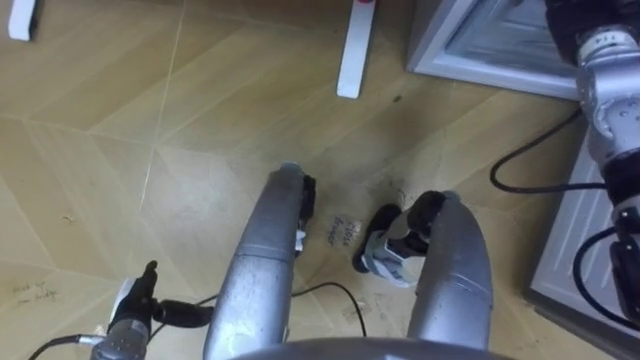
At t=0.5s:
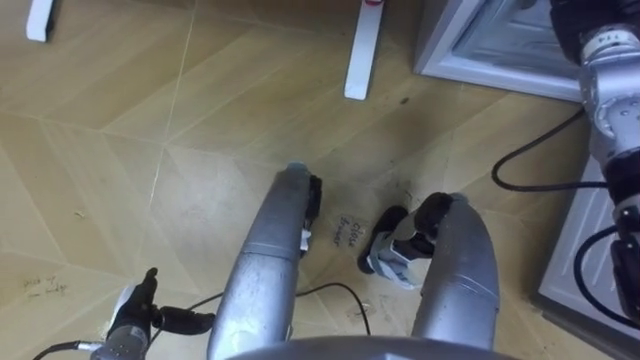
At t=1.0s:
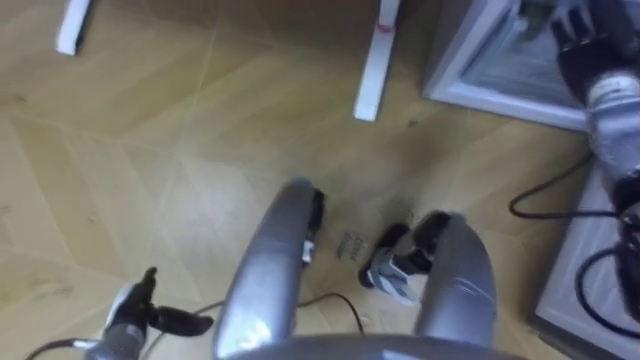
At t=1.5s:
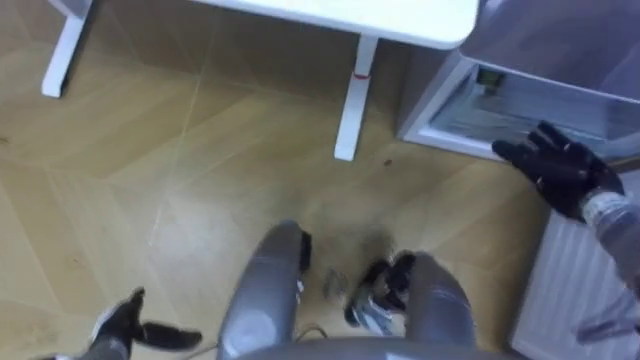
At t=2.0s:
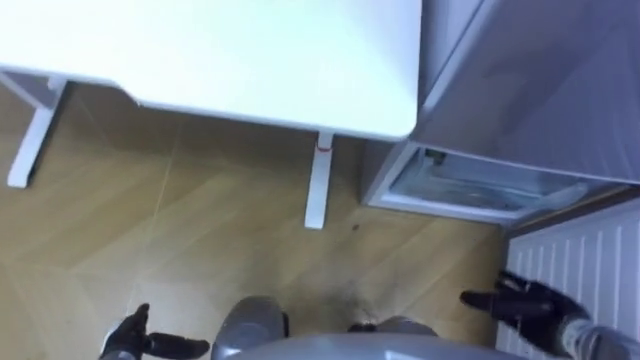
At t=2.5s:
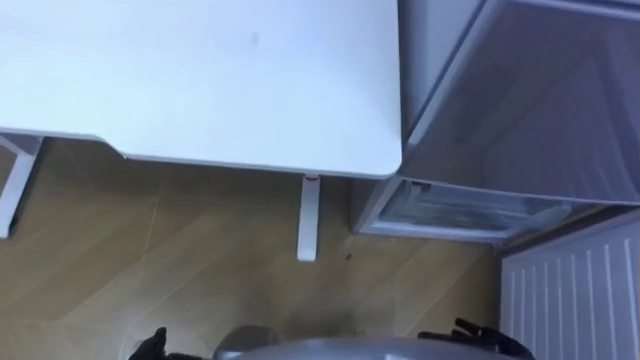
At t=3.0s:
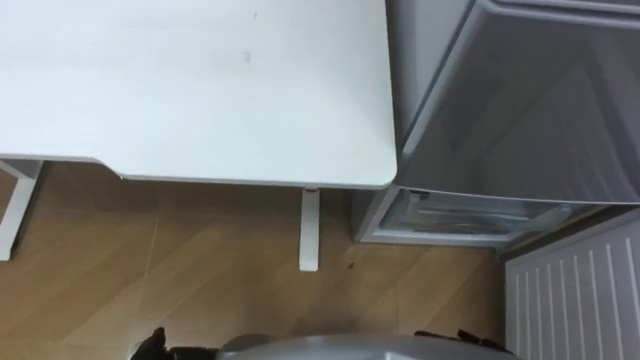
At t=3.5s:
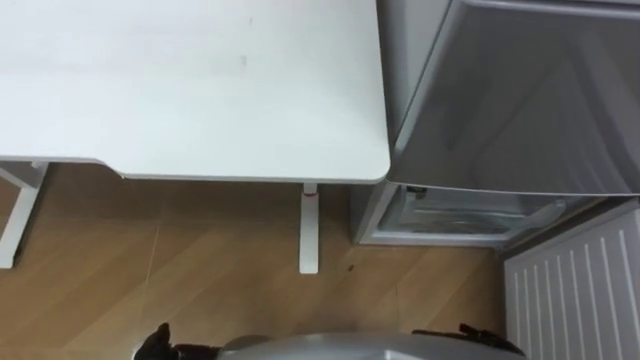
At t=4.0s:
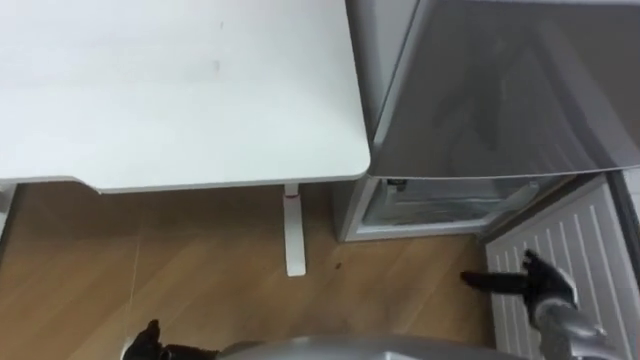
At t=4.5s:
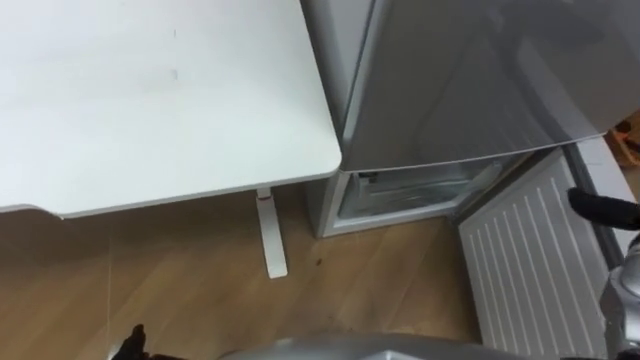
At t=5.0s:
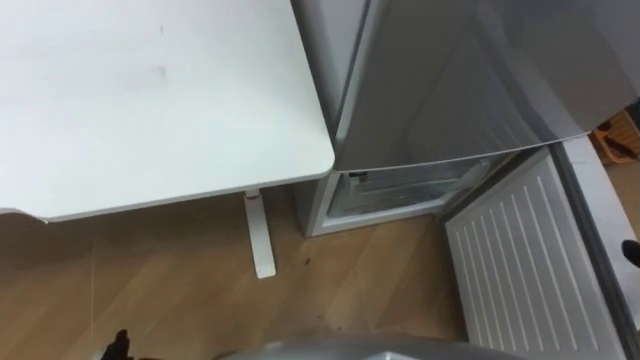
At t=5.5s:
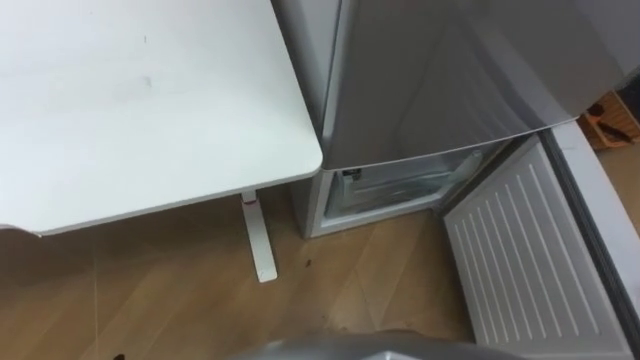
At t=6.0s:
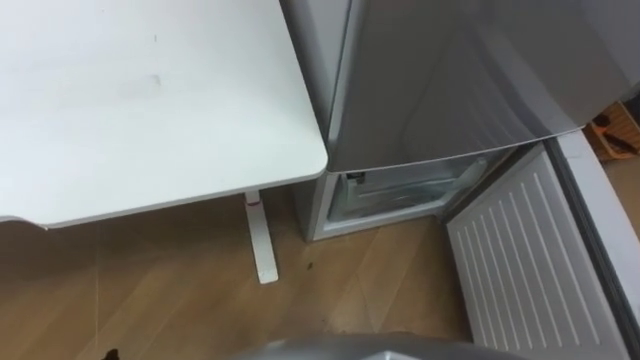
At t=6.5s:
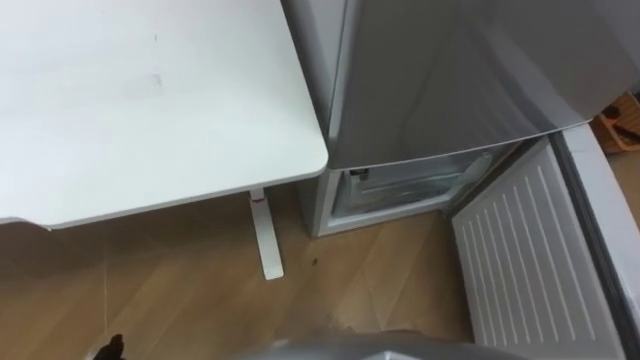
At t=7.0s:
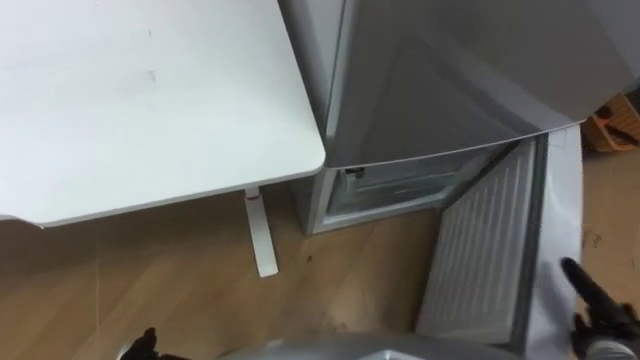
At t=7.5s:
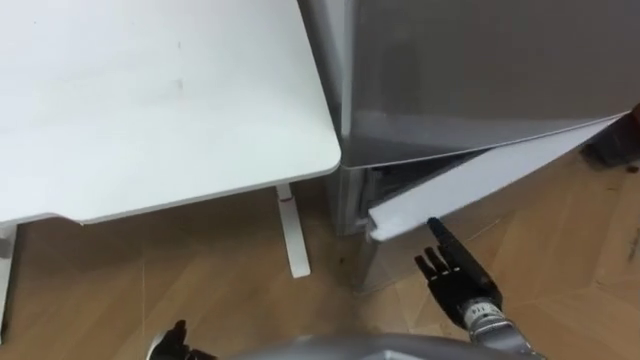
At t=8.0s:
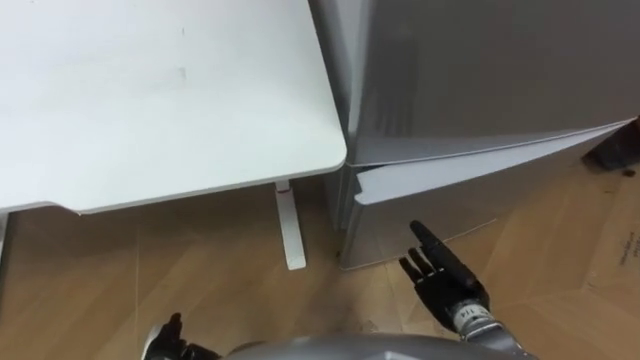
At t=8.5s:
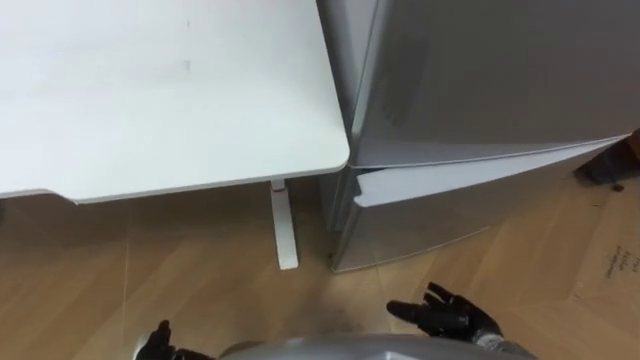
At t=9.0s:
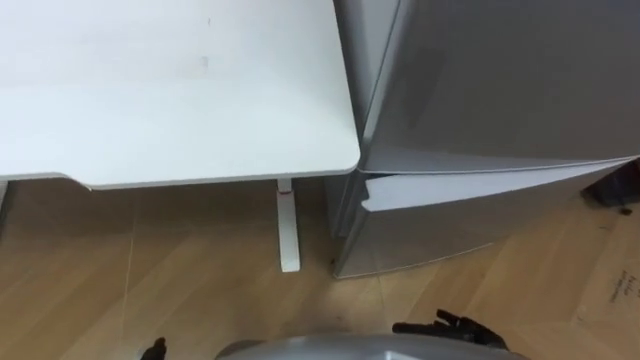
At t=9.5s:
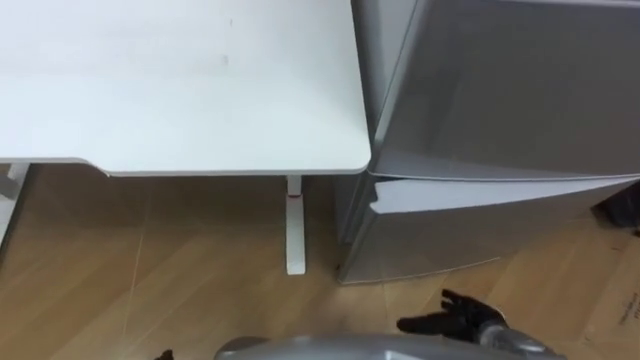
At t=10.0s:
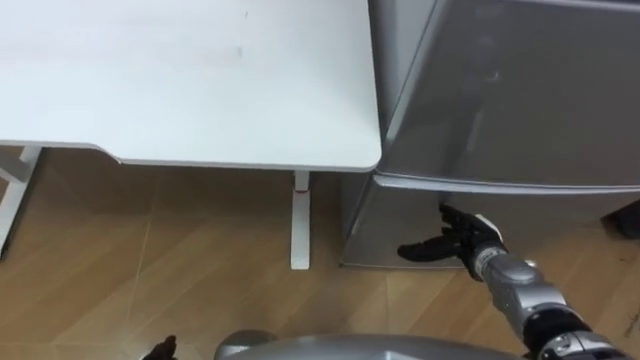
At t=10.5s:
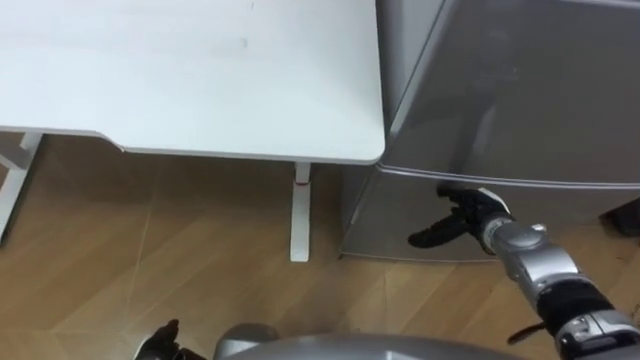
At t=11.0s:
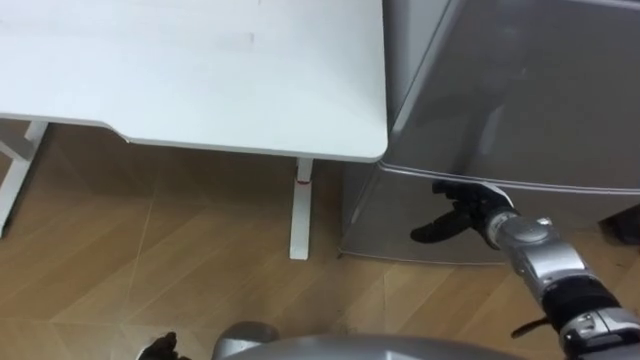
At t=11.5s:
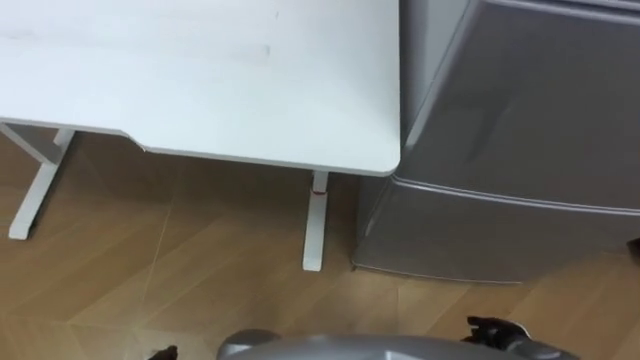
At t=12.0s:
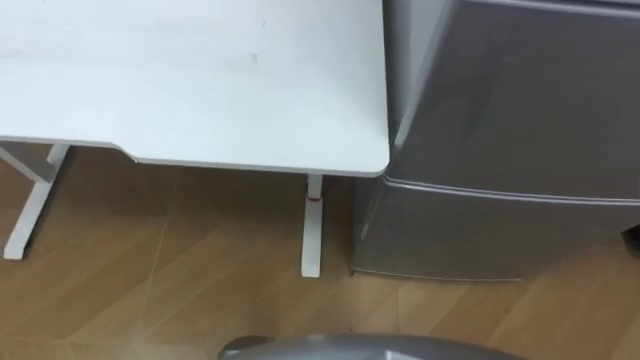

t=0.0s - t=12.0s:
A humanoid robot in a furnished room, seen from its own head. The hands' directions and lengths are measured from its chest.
Task of the whole recording: Place the drink on the table on the bottom shelf of the refrigerator, then close the drawer and the refrigerator door.
t=0.0s - t=2.0s: The right hand goes some 40 cm backward and downward.
t=8.0s - t=10.0s: The right hand moves forward, approximately 5 cm.

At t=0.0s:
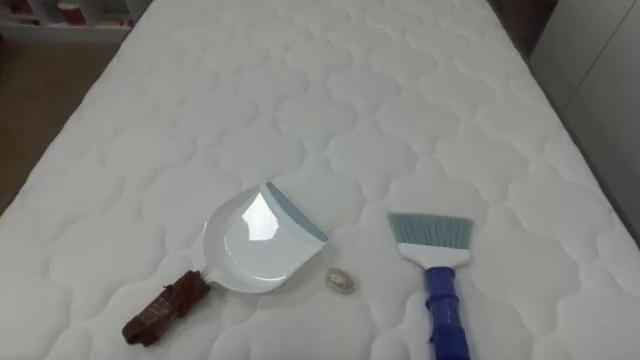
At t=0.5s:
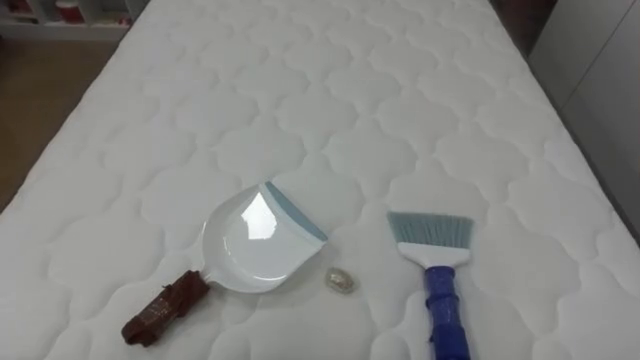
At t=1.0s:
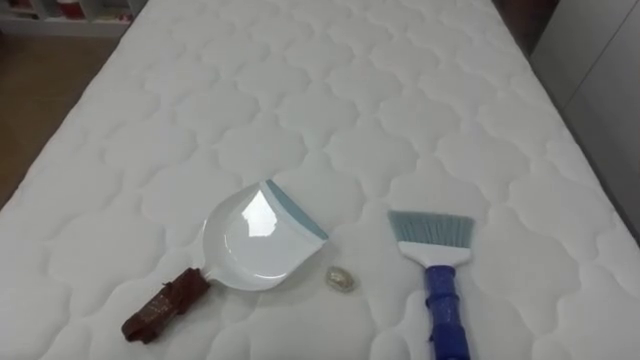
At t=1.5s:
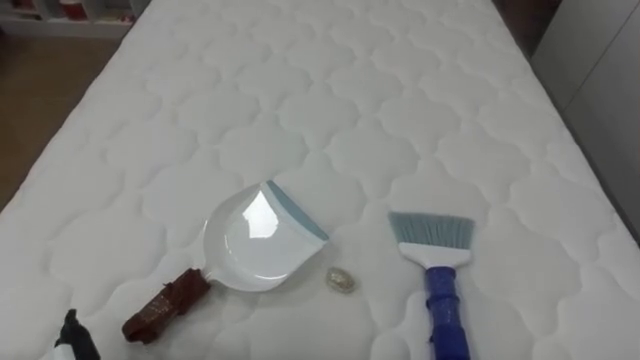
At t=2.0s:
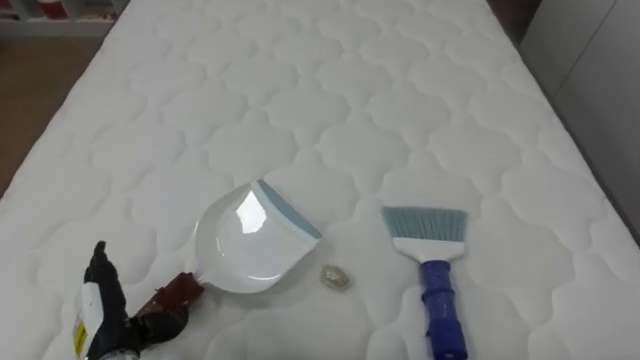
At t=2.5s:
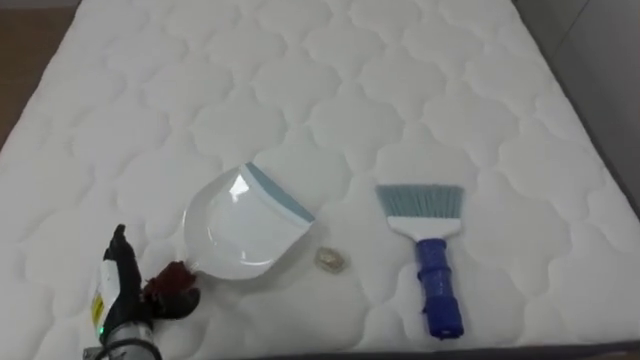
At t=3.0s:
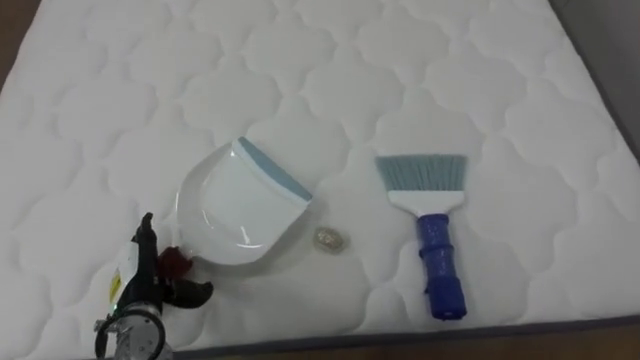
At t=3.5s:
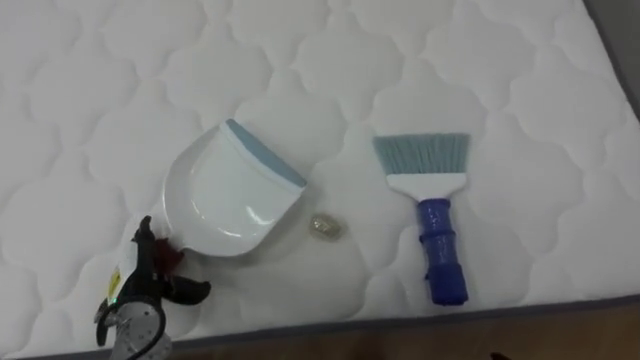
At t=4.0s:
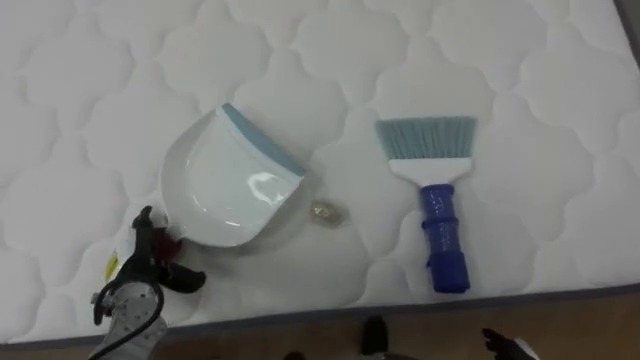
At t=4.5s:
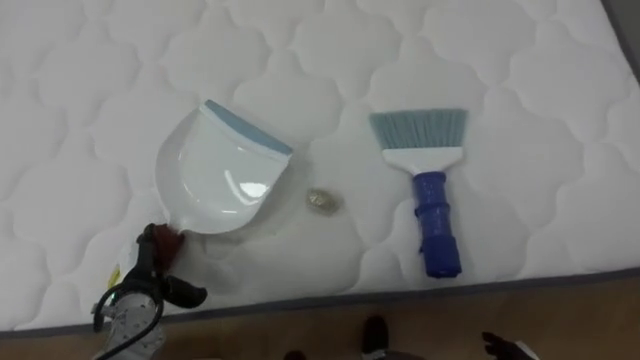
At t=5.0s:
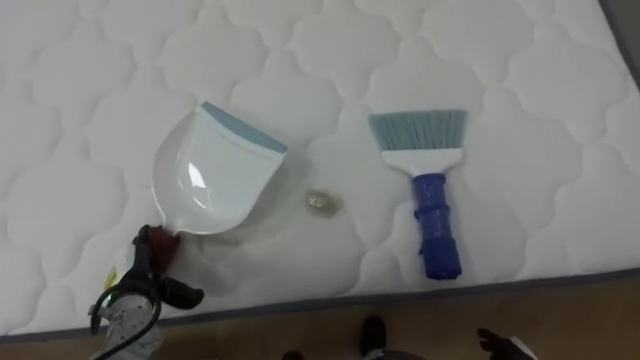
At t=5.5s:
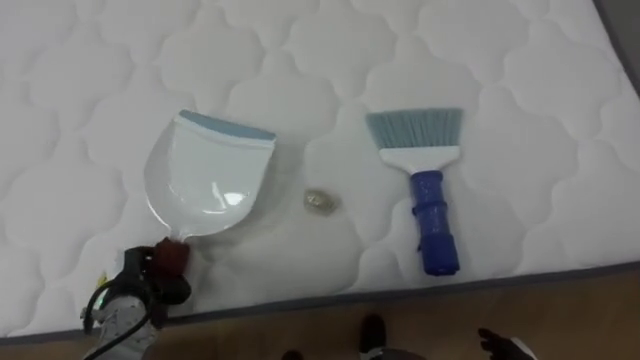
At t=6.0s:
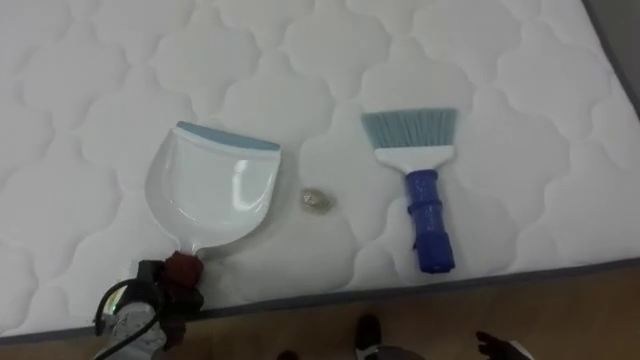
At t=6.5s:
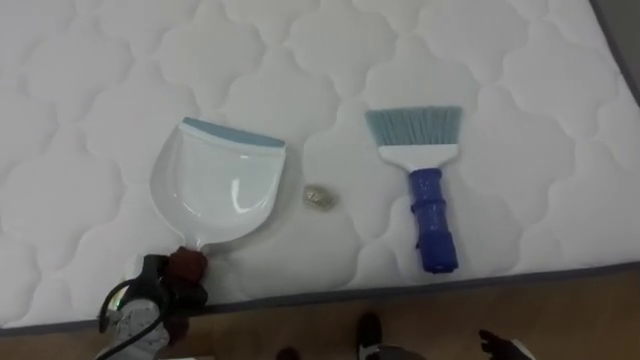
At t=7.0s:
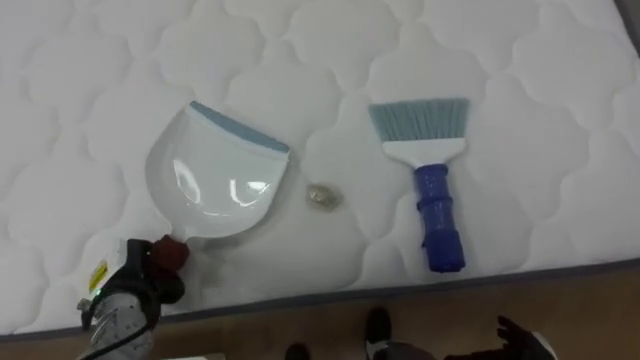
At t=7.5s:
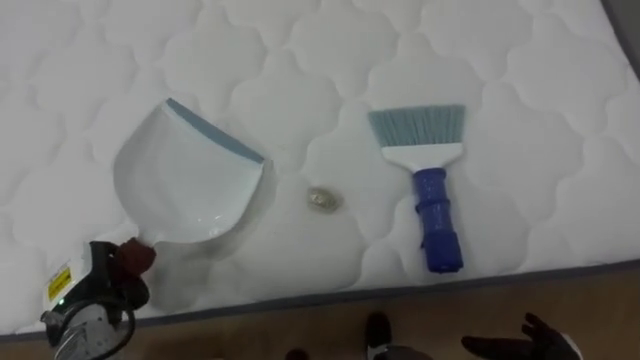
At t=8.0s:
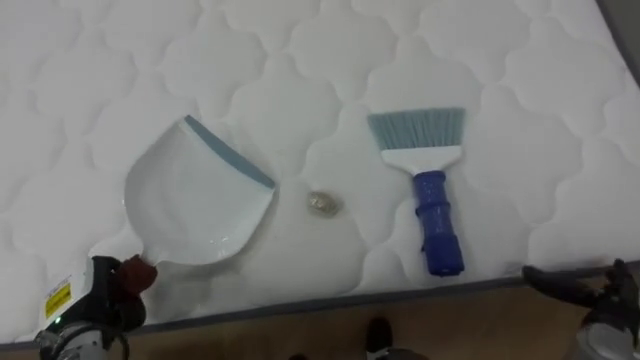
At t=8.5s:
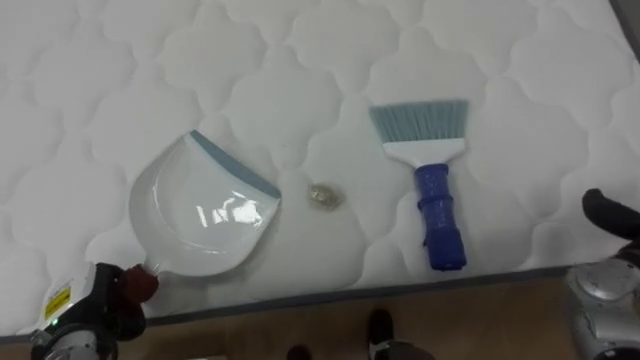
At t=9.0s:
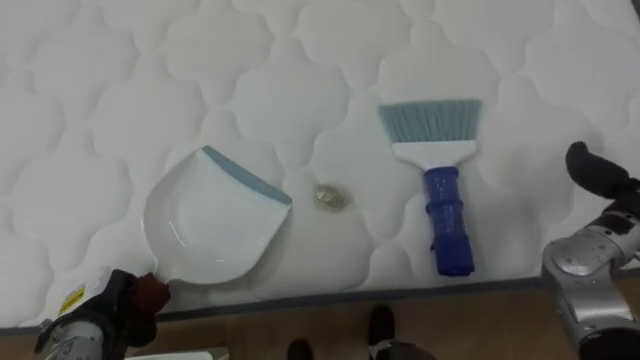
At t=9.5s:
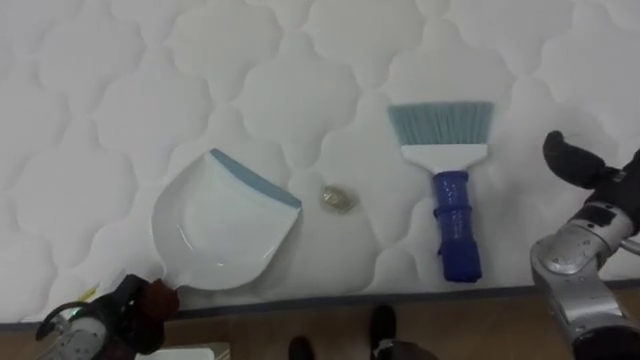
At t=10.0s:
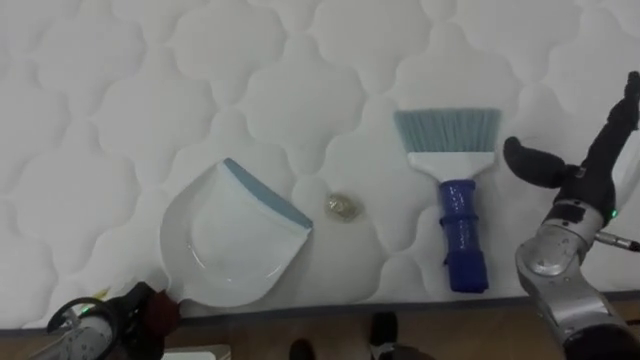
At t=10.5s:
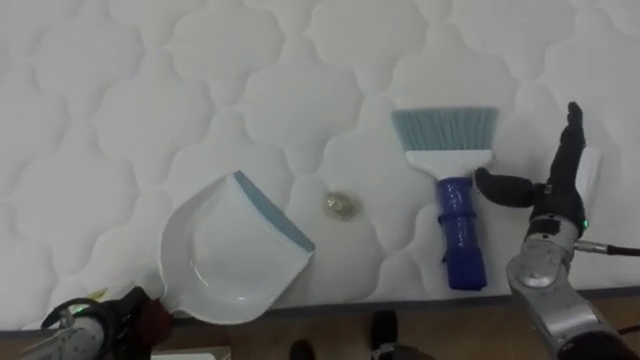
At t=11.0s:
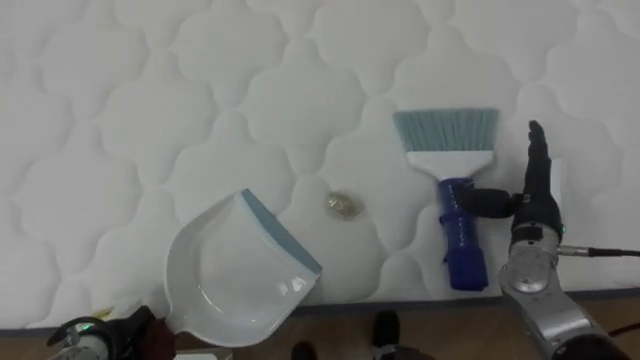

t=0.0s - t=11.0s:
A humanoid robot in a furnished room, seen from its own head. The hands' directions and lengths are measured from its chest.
Task of the whole recording: Pick up the brush on your right and the dustpan on your left. Use the brush to sweep the crumpled paper on the bed into the dustpan, then turn left and empty it into the basket.
t=2.0s - t=3.5s: The left hand heads forward, covering some 5 cm.
t=3.5s - t=5.5s: The left hand closes its fingers.
t=5.5s - t=7.5s: The left hand changes place by roughly 5 cm.
